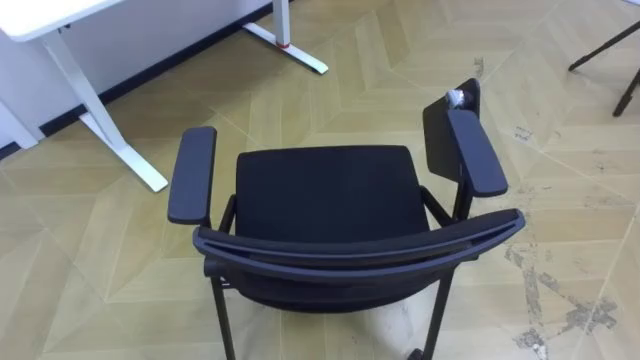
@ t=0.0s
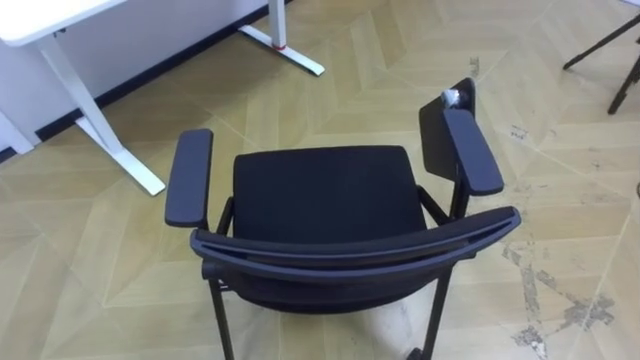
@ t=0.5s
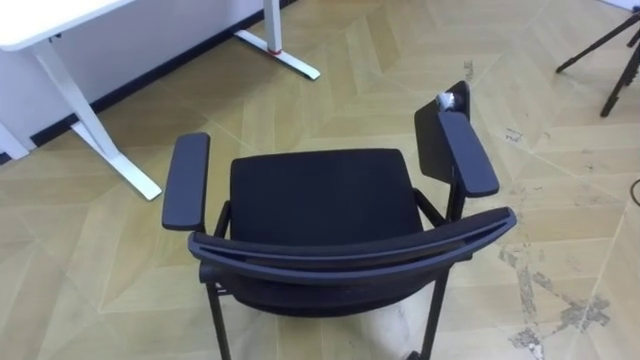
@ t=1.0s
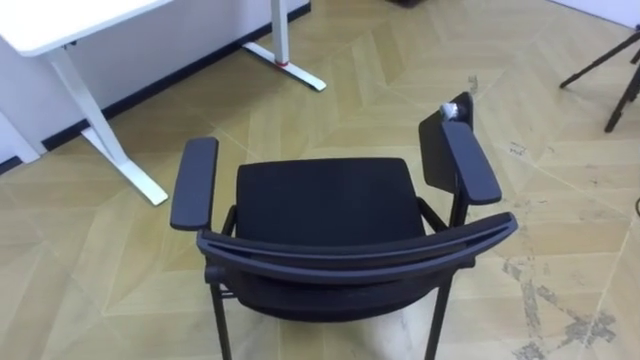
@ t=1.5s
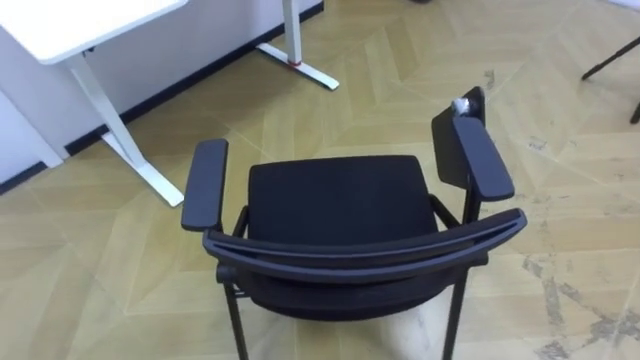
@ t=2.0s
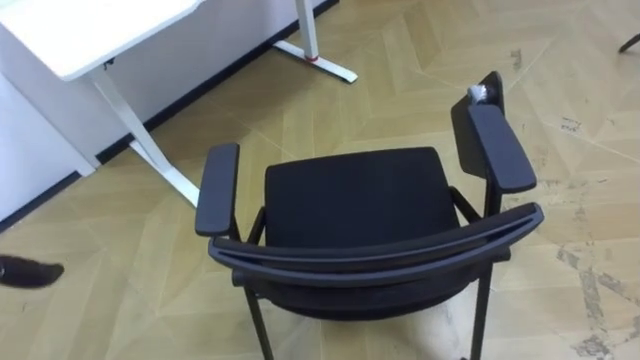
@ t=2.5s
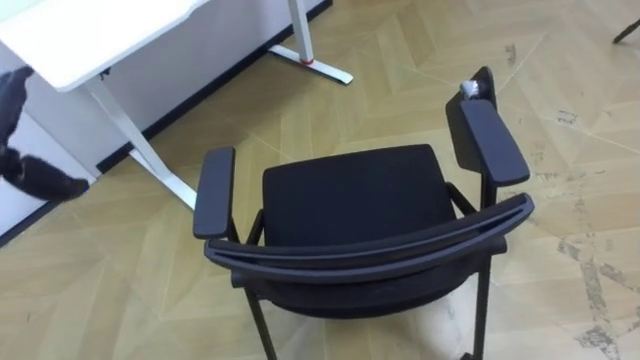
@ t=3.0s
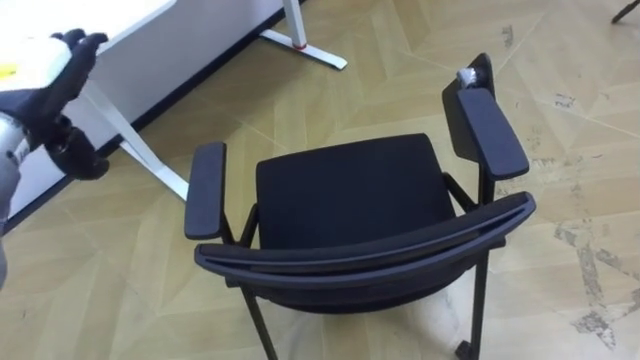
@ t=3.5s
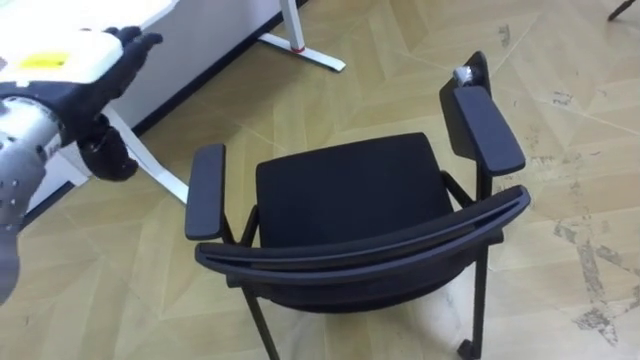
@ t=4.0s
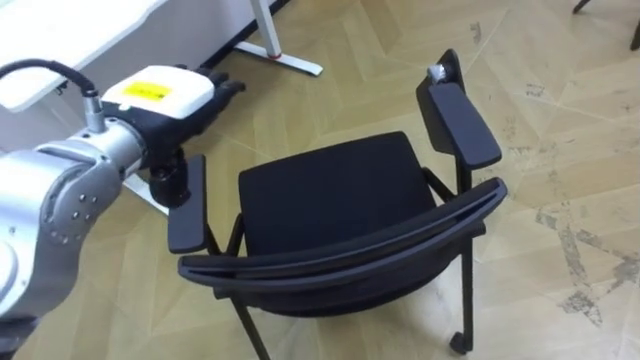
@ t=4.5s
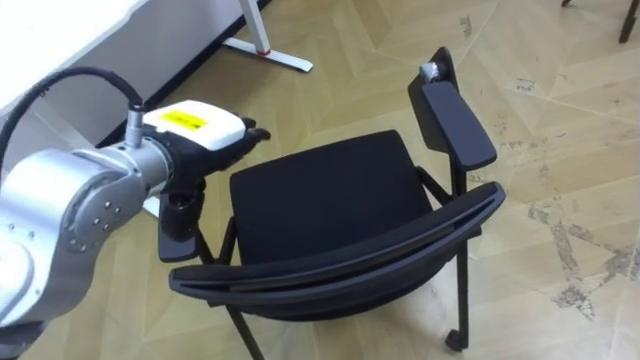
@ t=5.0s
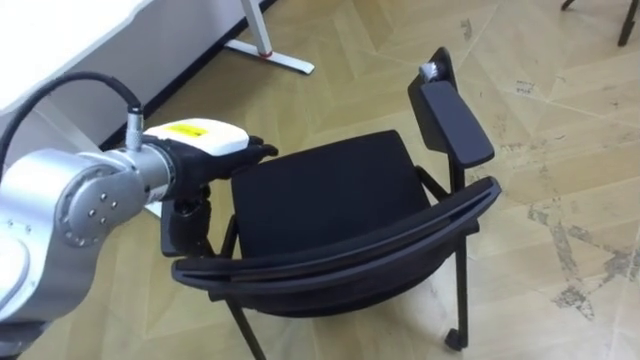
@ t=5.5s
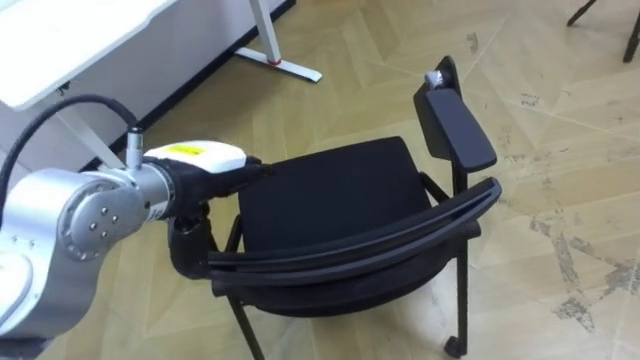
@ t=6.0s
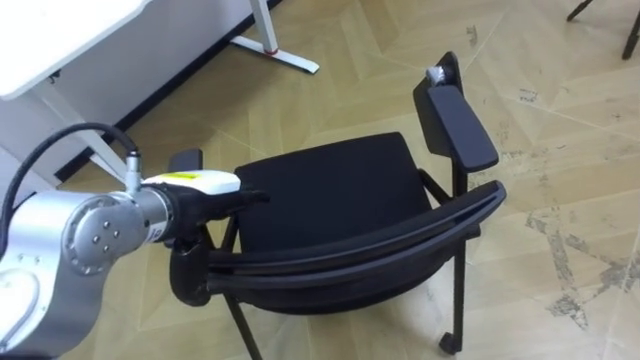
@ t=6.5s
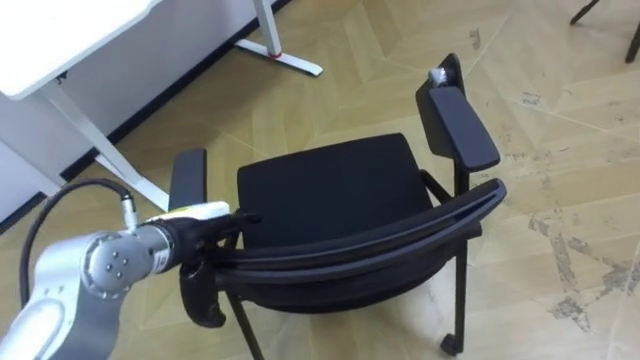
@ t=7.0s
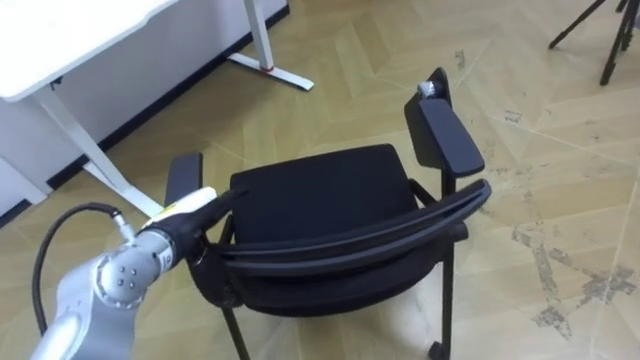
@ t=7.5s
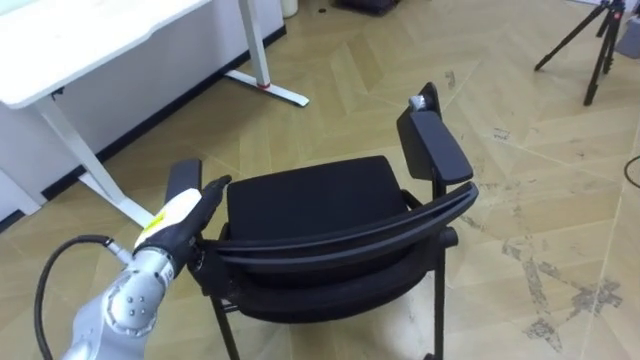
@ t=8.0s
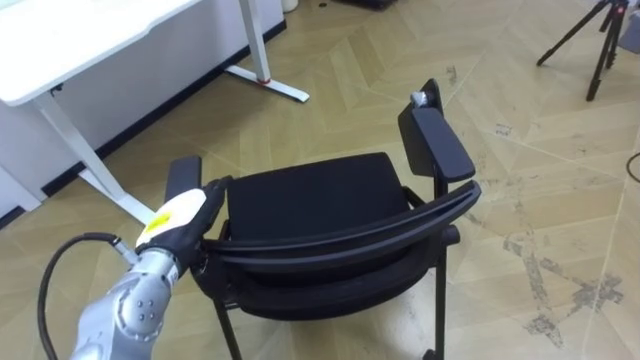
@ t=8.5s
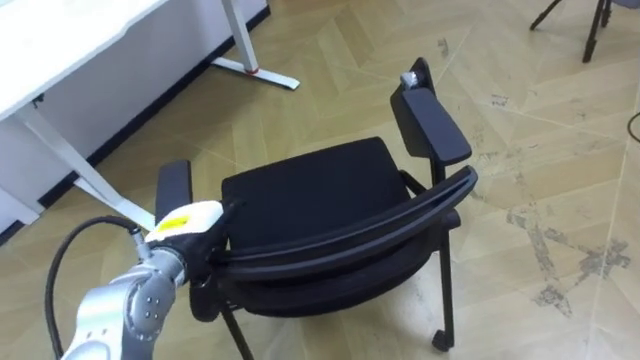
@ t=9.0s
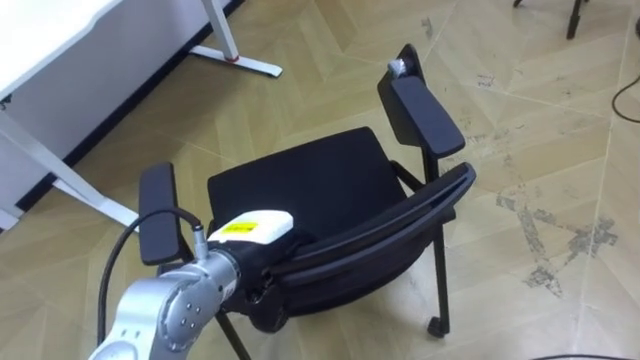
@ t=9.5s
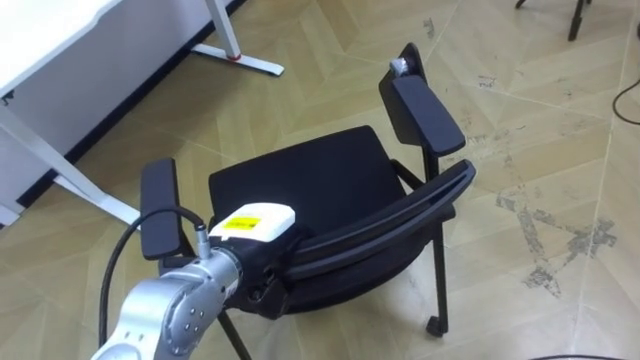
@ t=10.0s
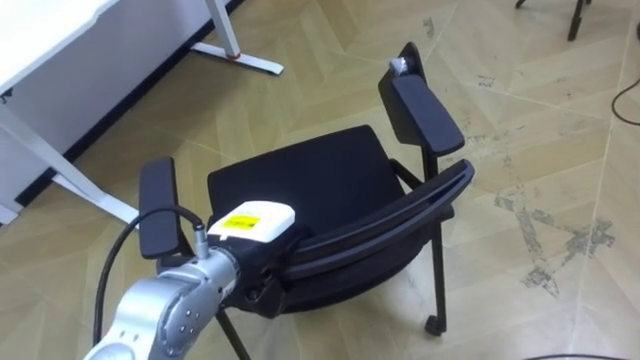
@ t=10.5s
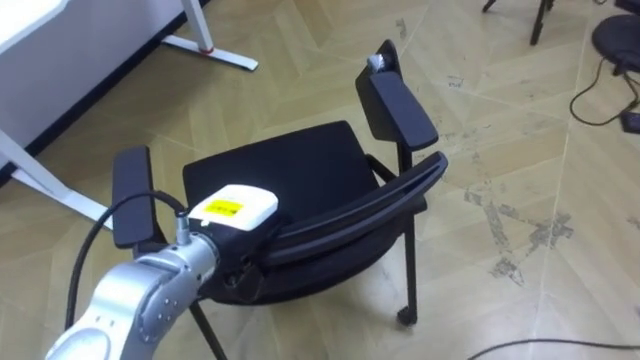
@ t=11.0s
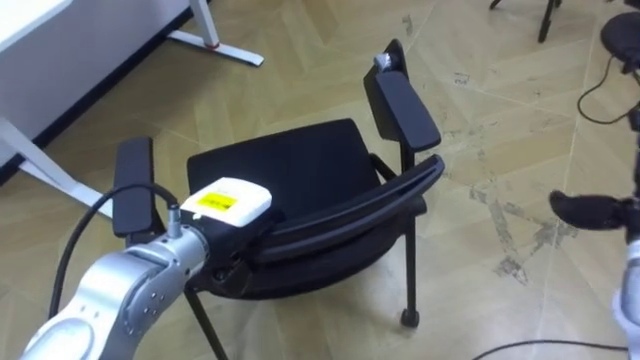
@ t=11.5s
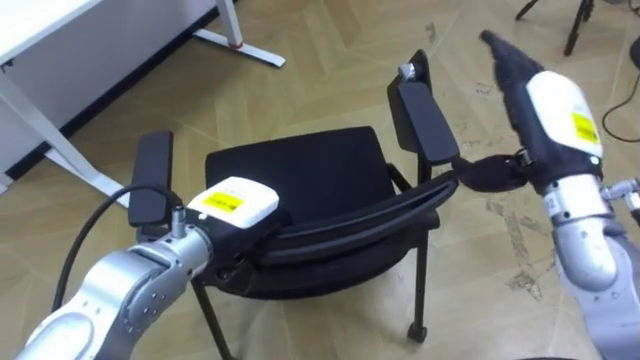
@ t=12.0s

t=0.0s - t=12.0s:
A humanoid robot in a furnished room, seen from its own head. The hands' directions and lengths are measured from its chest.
Task of the whole recording: Push the chair under the table.
t=4.0s - t=6.0s: The left hand goes about 15 cm to the right and downward.
t=6.0s - t=8.0s: The left hand heads downward, covering about 10 cm.
t=8.0s - t=10.0s: The left hand shifts approximately 10 cm to the right, and closes.

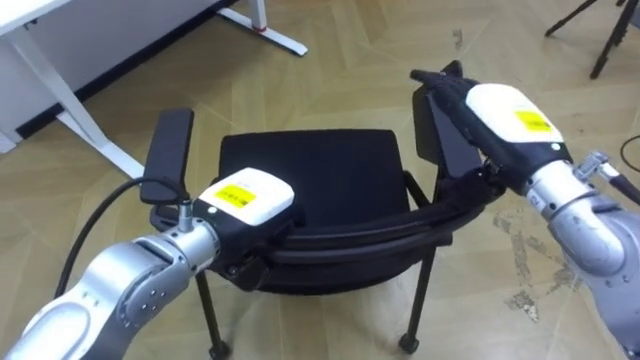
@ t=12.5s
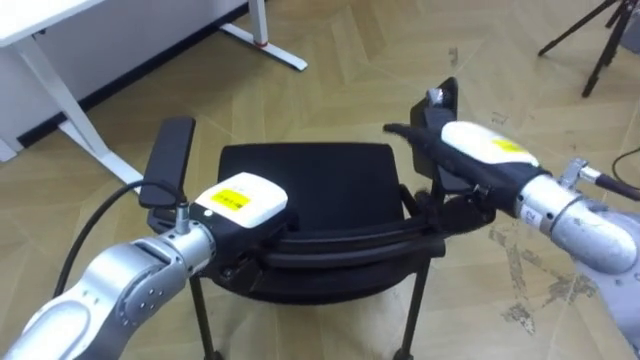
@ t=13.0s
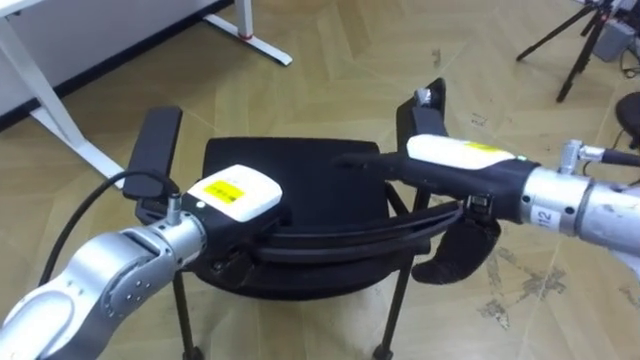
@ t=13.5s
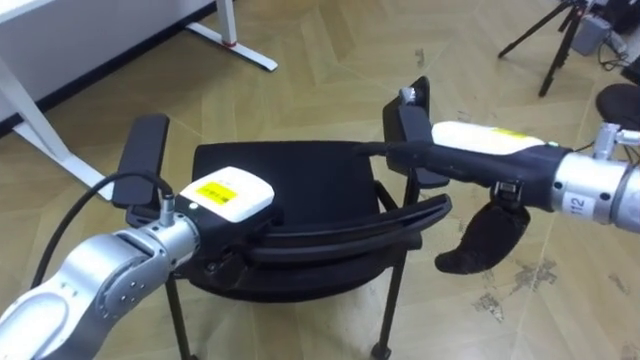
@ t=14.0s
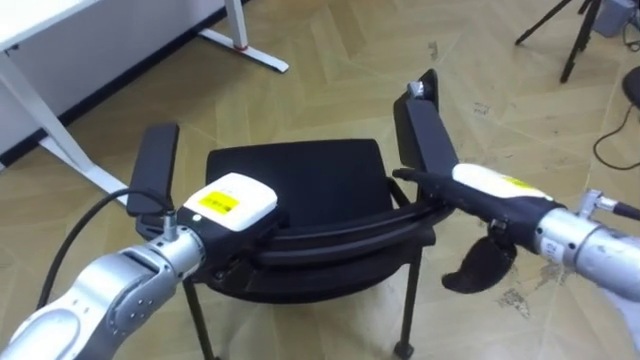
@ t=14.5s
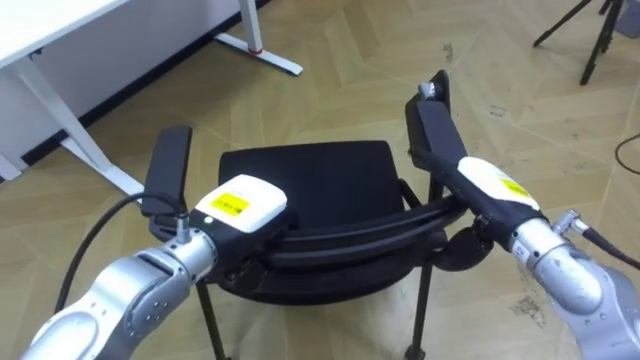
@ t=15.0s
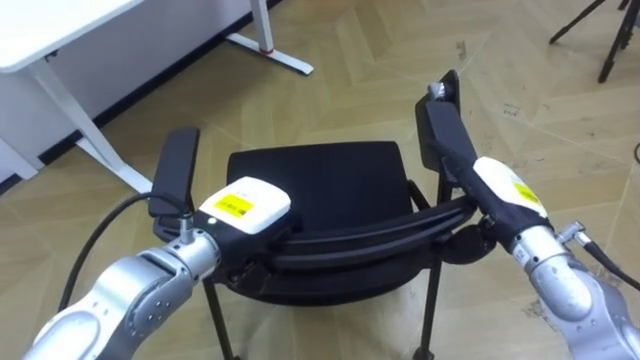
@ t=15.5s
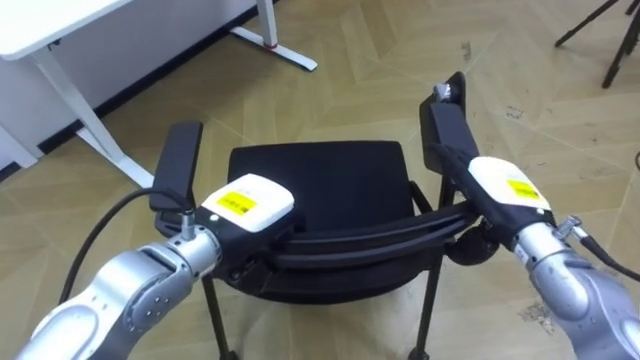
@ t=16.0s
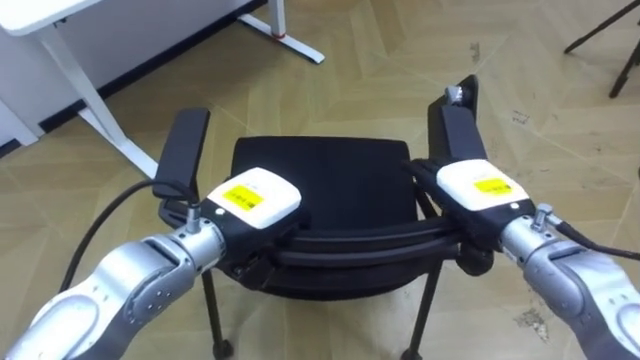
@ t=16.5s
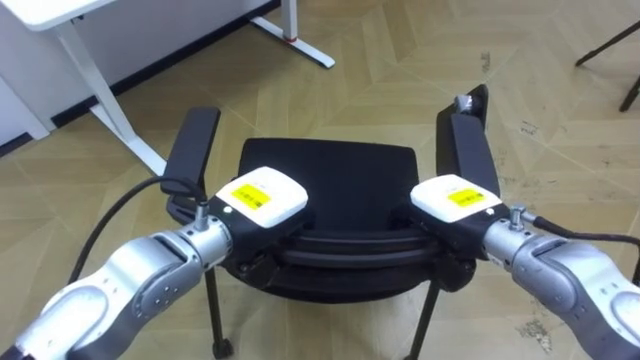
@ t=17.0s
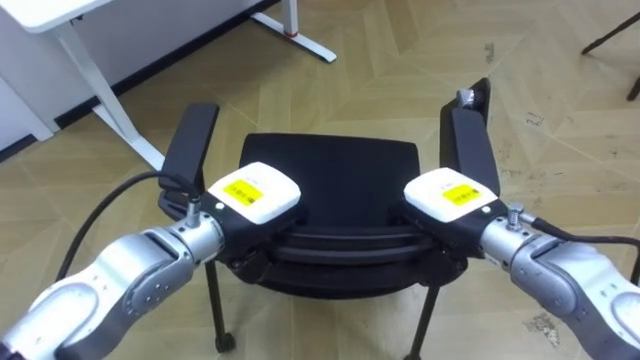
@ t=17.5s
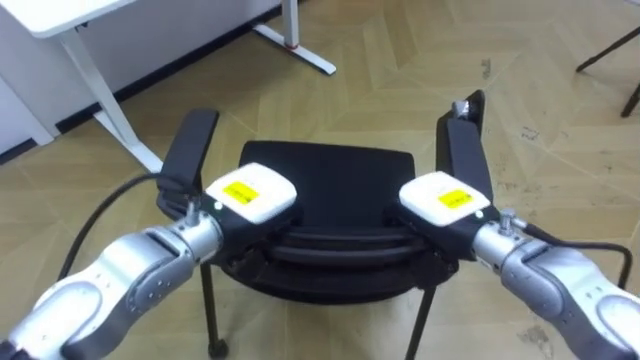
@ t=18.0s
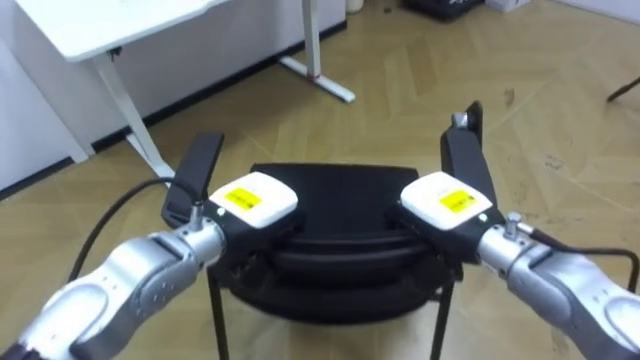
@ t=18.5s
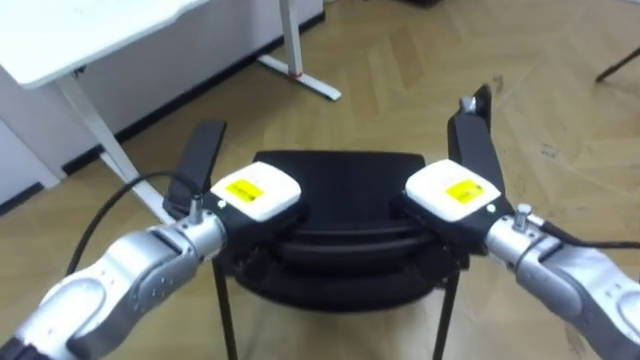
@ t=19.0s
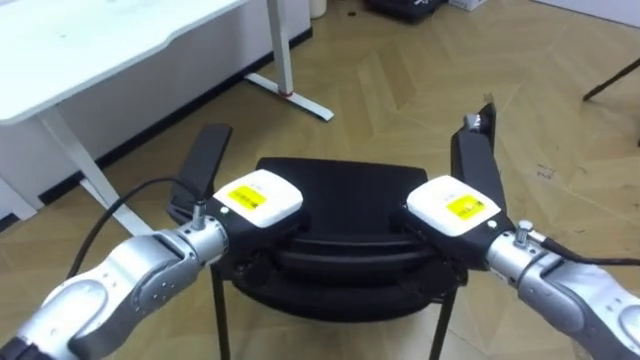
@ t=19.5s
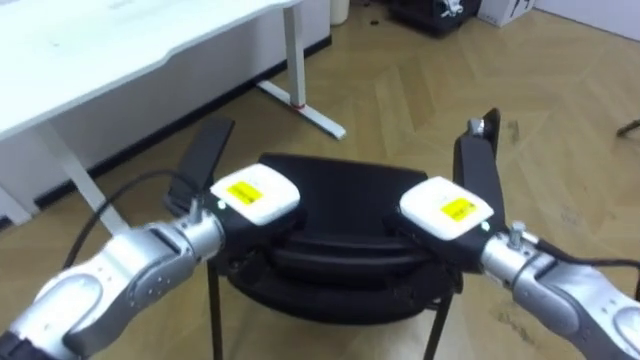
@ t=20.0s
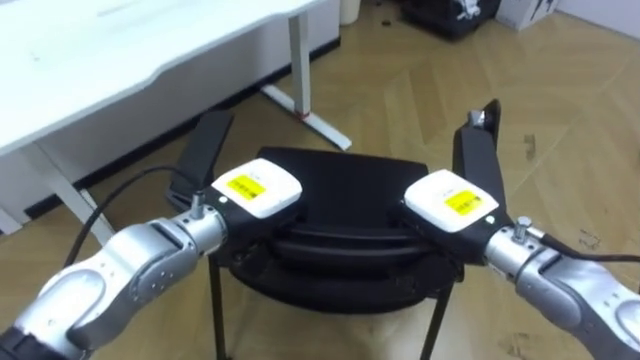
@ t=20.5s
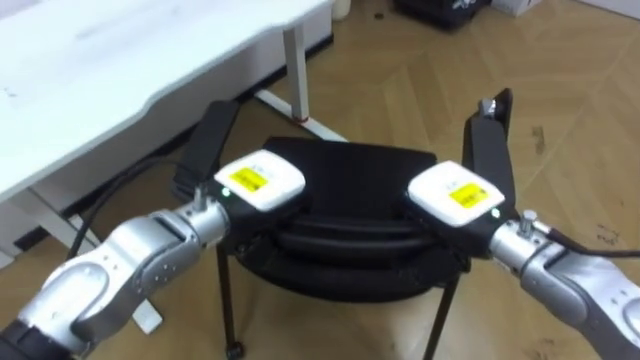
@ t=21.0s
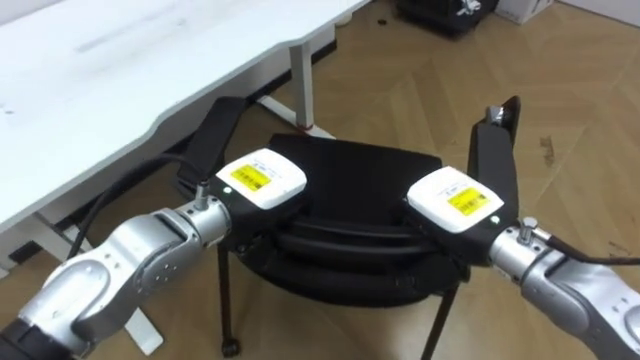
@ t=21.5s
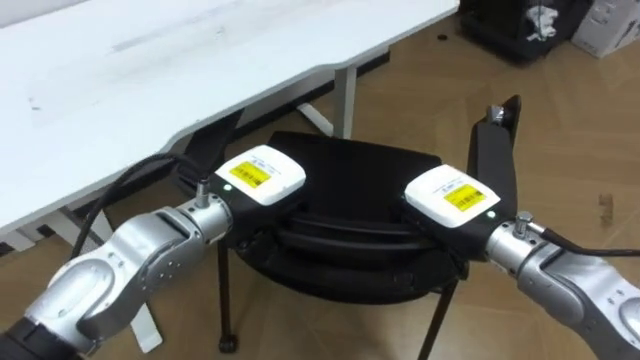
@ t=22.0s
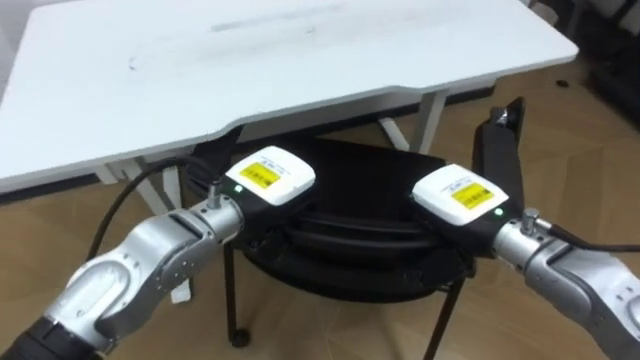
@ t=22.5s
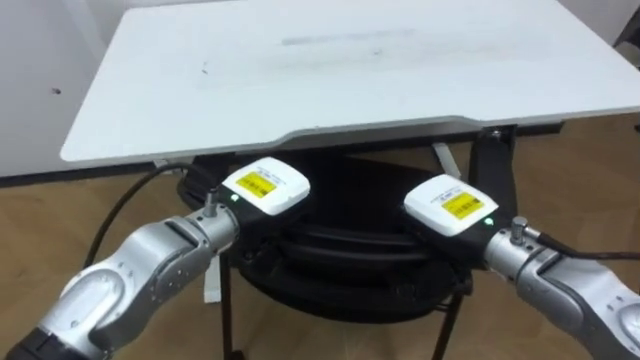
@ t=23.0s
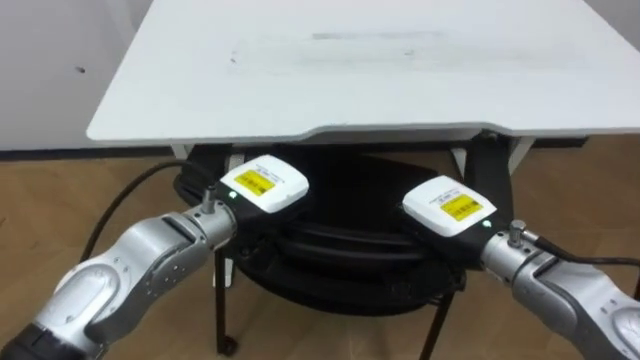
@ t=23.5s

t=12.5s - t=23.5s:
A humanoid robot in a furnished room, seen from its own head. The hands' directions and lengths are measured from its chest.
Task of the whole recording: Push the chair under the table.
t=12.5s - t=14.5s: The right hand is displaced downward by roughly 5 cm.
t=14.5s - t=16.0s: The right hand shifts by approximately 5 cm.
t=16.0s - t=18.0s: The right hand heads to the left, covering approximately 5 cm, and closes.
t=21.5s - t=23.5s: The robot turns to its left by roughly 35 degrees.
